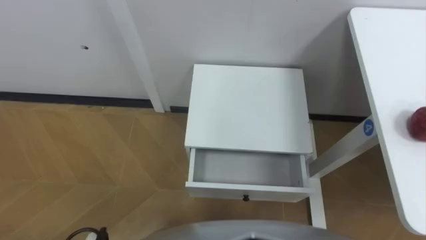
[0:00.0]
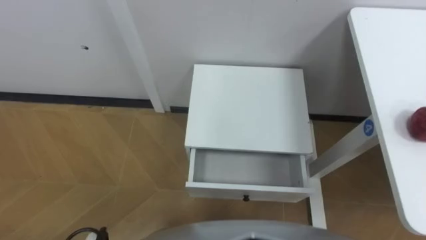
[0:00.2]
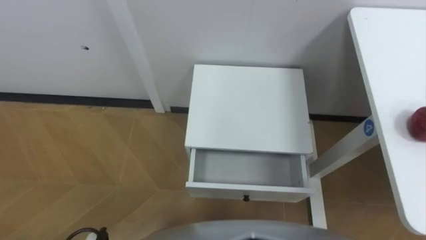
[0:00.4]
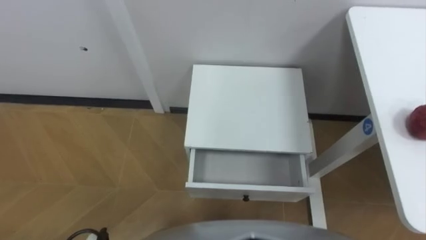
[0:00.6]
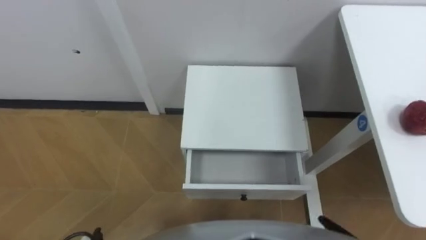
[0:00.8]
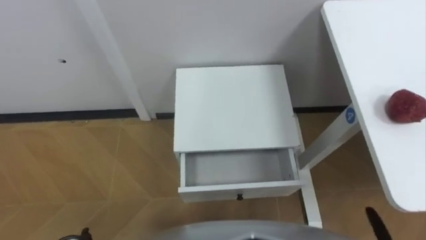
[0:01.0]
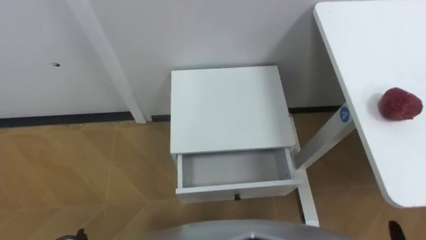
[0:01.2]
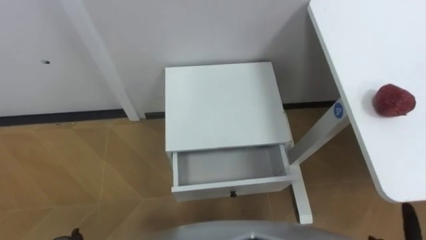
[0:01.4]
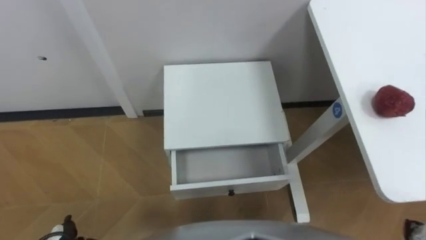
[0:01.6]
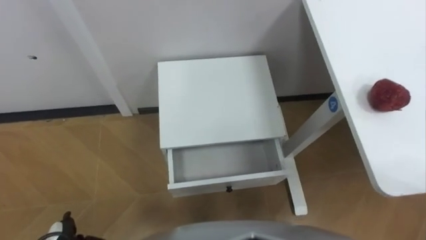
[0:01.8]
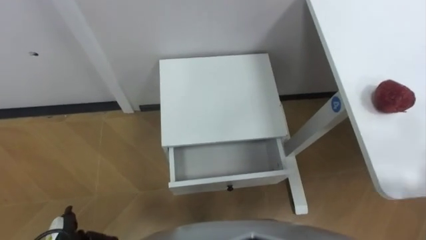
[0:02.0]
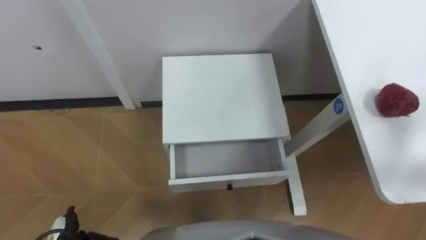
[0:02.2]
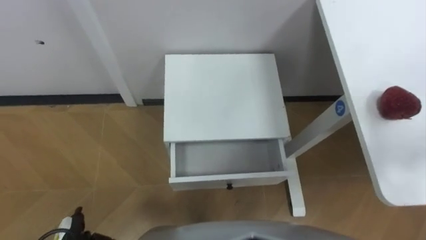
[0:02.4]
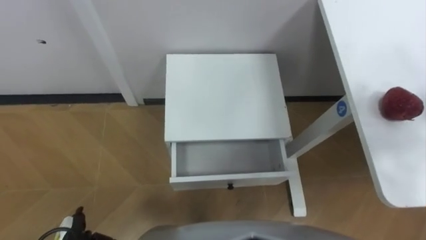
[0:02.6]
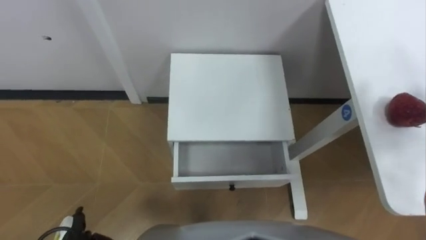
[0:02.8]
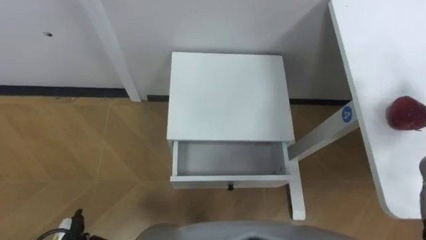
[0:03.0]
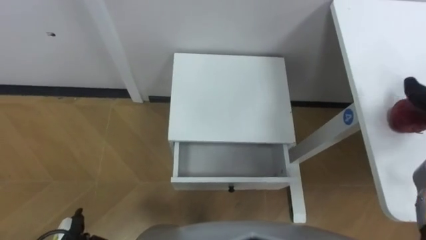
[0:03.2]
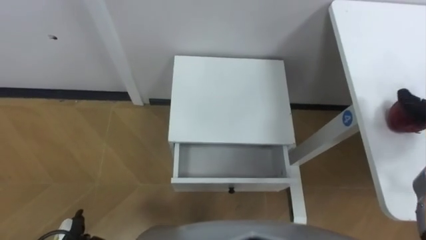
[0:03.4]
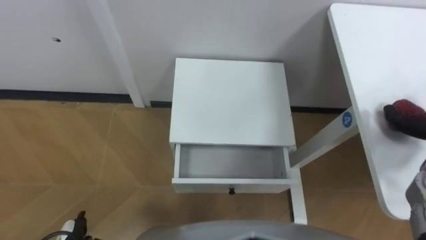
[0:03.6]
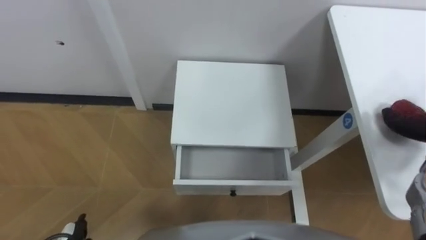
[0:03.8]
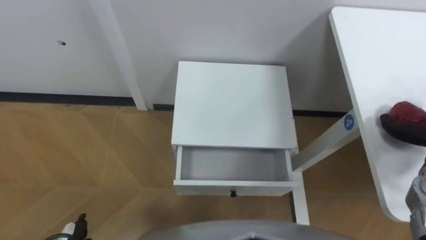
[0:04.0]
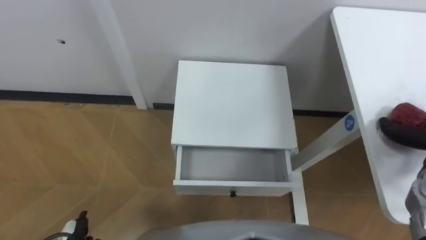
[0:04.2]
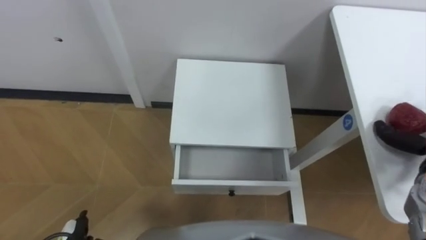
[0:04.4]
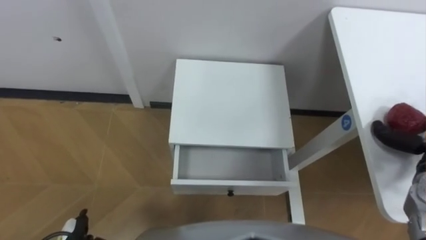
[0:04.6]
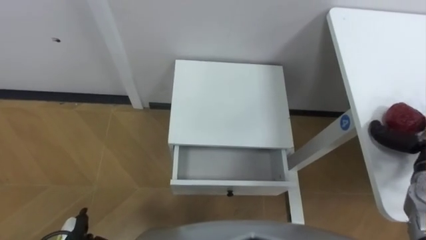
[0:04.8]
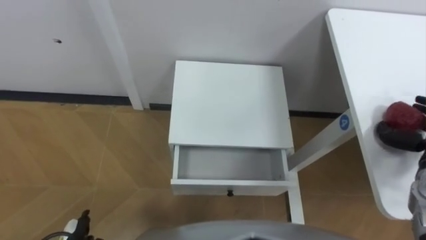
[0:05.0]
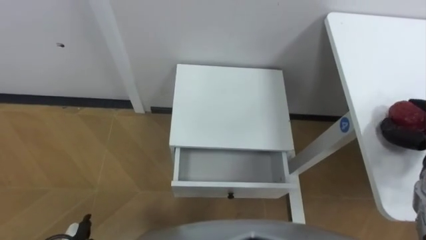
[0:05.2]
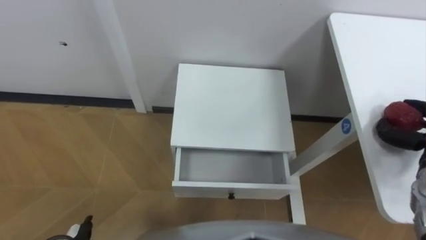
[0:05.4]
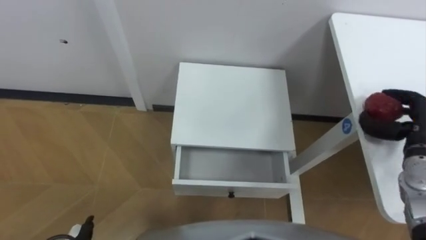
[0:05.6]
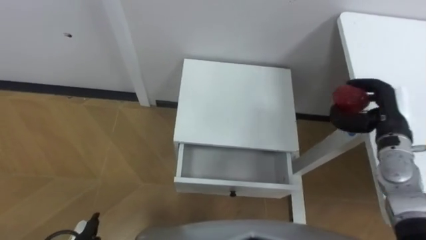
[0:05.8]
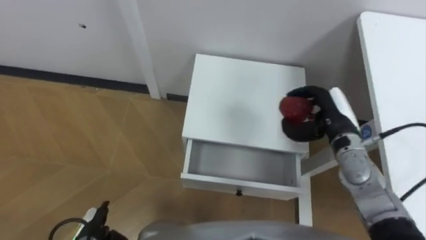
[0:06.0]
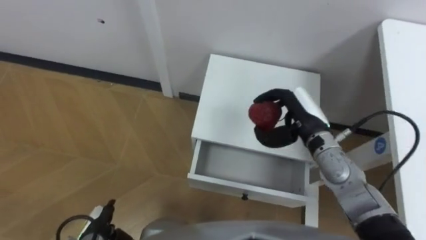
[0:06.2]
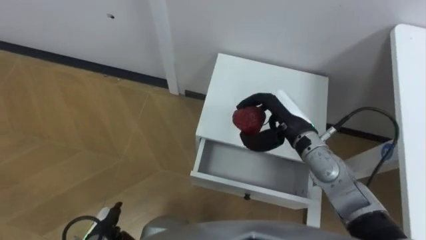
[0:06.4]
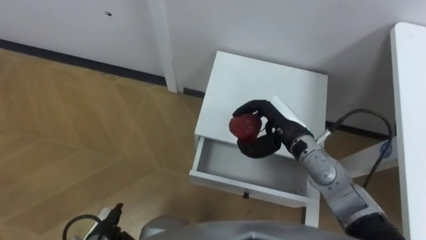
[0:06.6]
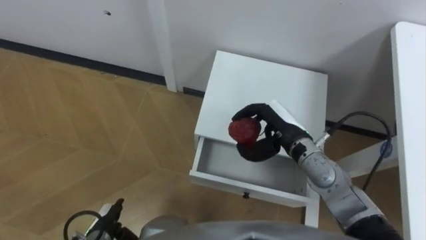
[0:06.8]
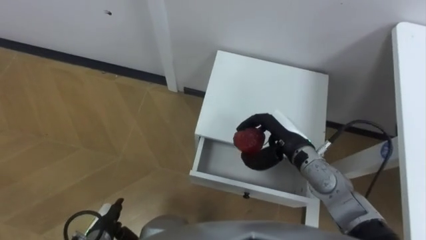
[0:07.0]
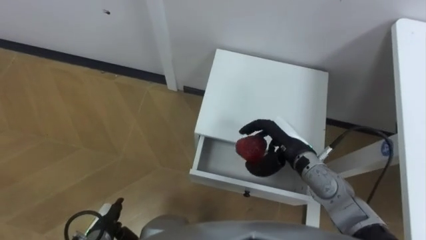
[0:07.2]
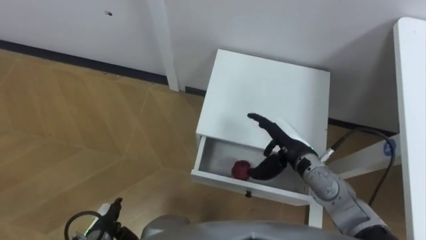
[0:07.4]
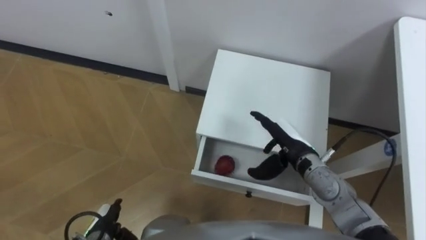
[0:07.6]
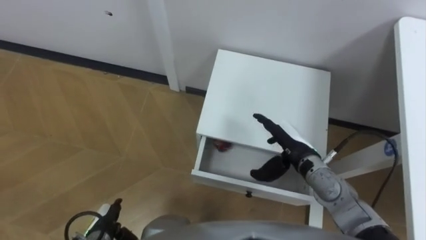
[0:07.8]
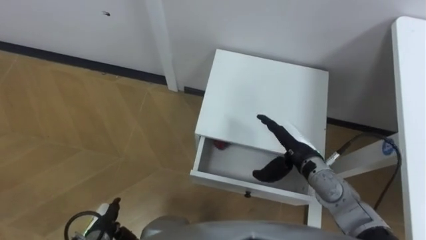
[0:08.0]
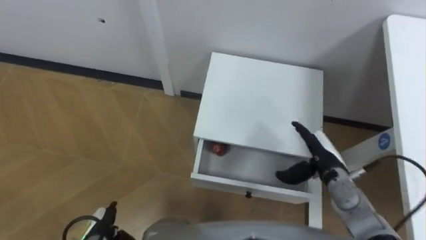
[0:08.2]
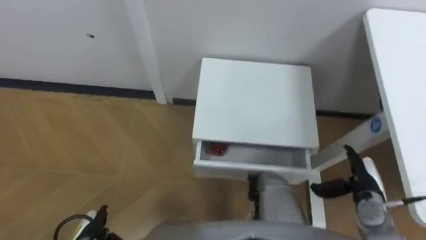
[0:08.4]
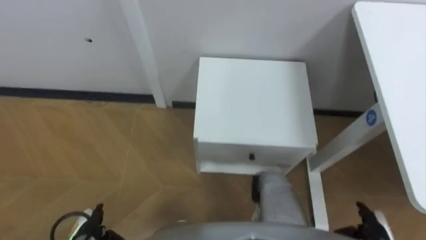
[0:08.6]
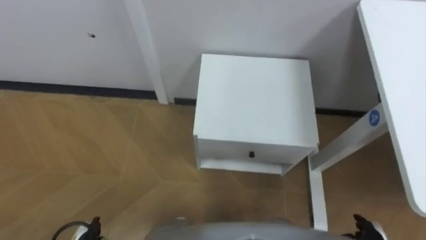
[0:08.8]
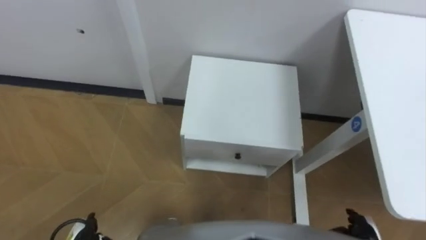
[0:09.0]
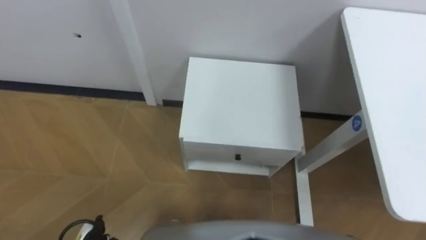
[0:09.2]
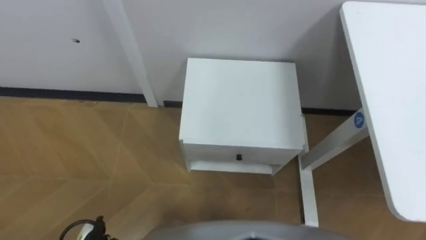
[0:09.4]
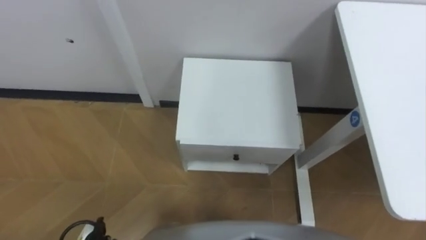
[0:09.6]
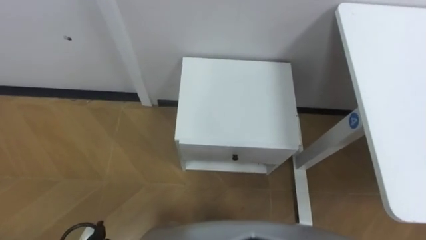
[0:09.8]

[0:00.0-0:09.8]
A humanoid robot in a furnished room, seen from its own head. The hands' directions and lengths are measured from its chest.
Task of the whole recording: Pick up the apple from the table, put it in the drawer, and close the drawer with leg.
0:05.6 to 0:07.0: The right hand shifts some 25 cm to the left.
0:07.0 to 0:08.4: The right hand goes roughly 20 cm to the right, backward and downward, and opens up.

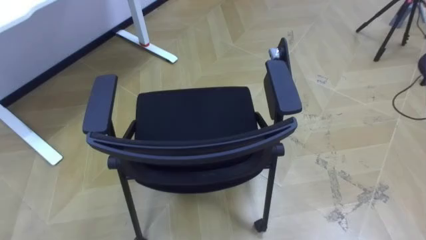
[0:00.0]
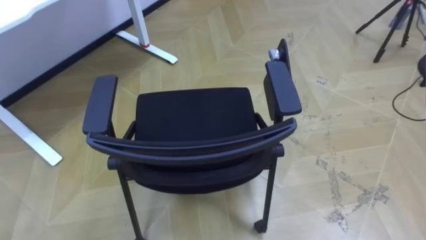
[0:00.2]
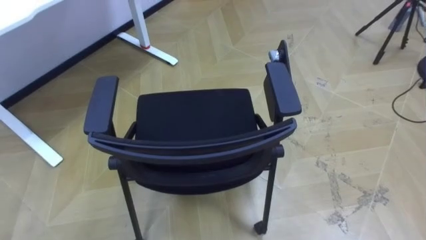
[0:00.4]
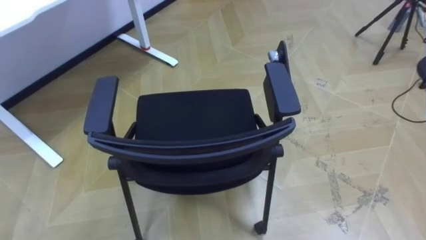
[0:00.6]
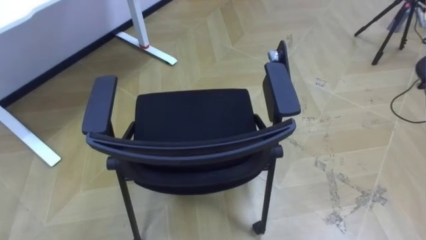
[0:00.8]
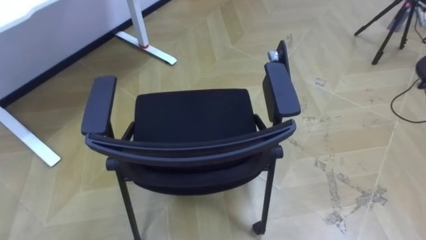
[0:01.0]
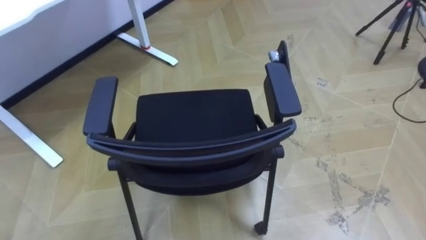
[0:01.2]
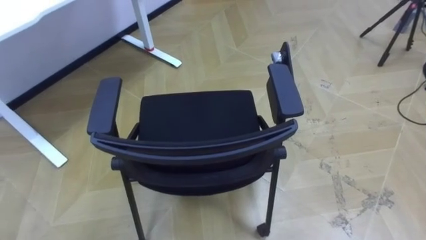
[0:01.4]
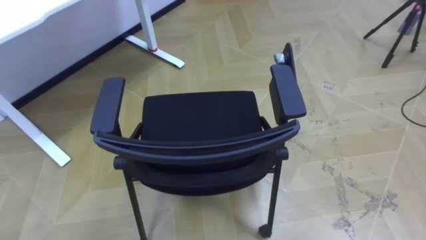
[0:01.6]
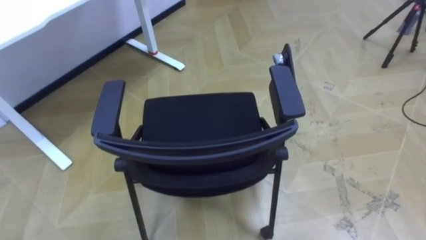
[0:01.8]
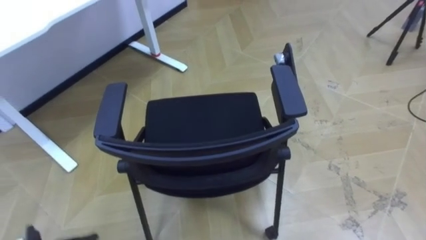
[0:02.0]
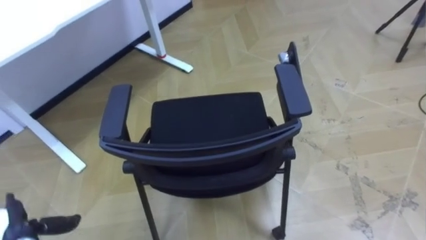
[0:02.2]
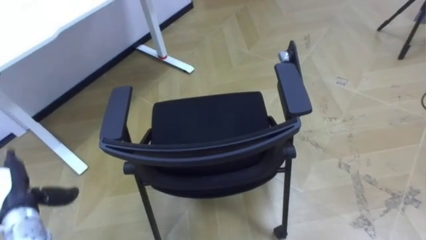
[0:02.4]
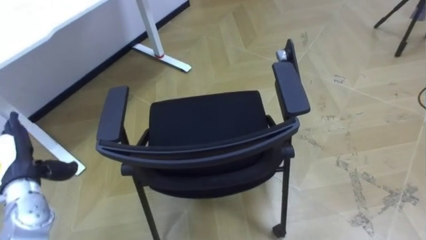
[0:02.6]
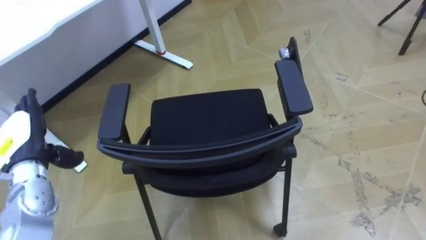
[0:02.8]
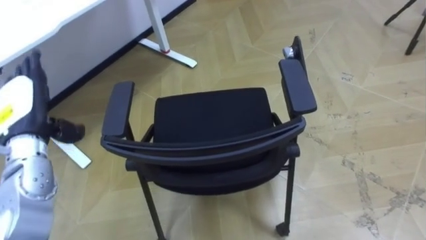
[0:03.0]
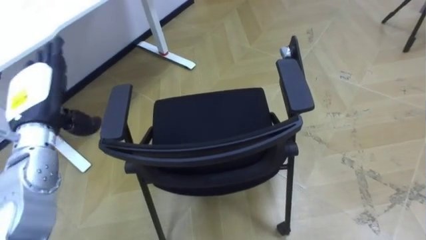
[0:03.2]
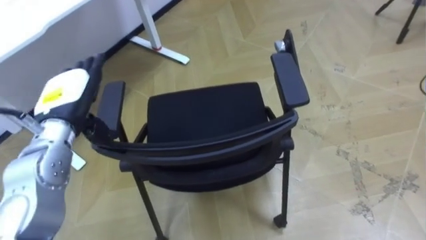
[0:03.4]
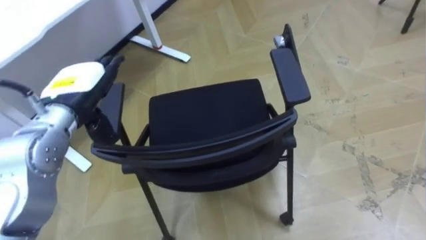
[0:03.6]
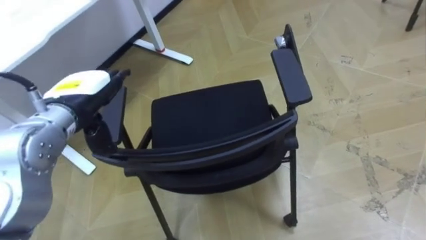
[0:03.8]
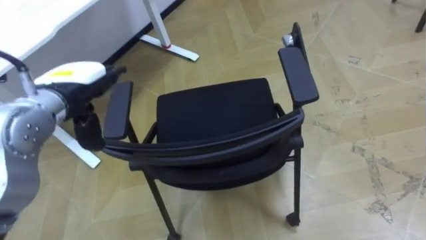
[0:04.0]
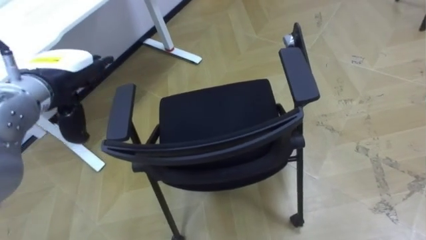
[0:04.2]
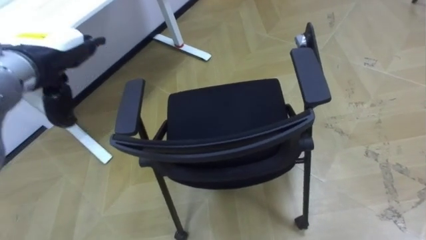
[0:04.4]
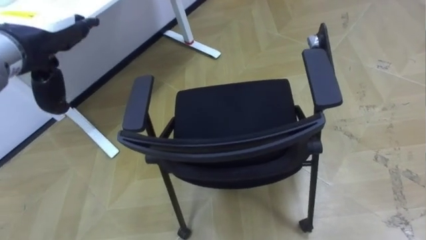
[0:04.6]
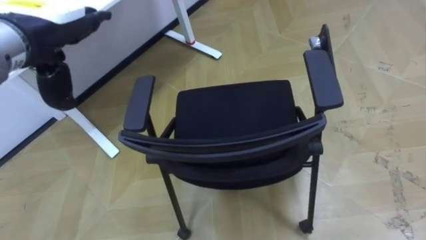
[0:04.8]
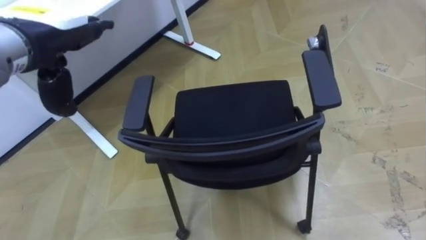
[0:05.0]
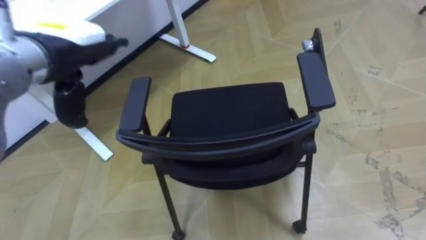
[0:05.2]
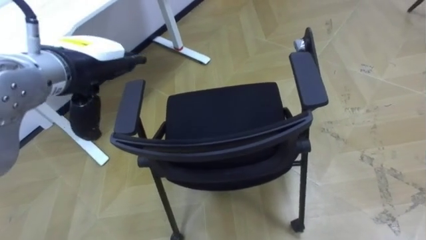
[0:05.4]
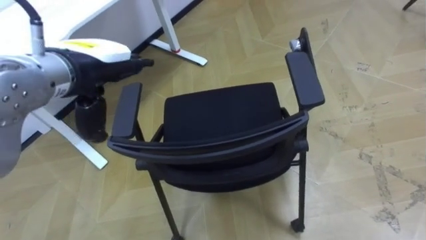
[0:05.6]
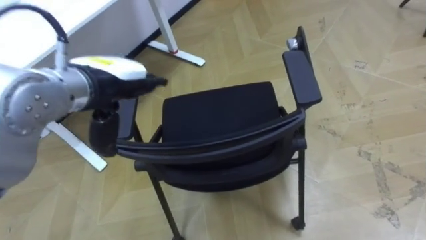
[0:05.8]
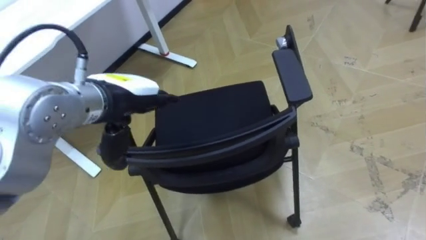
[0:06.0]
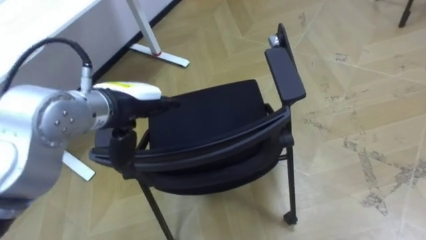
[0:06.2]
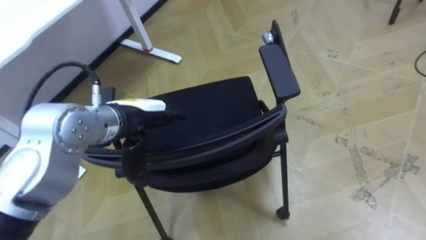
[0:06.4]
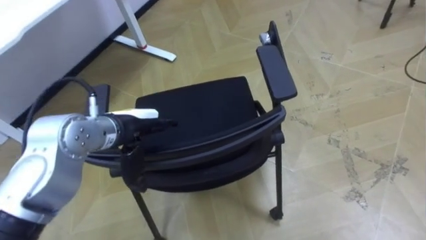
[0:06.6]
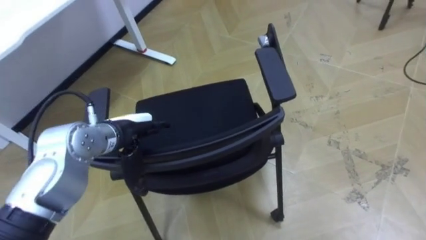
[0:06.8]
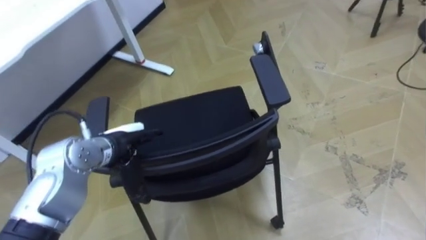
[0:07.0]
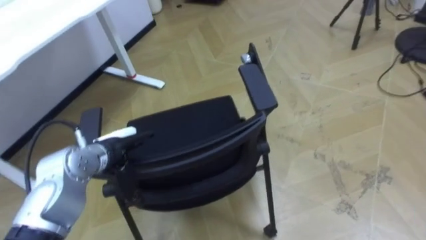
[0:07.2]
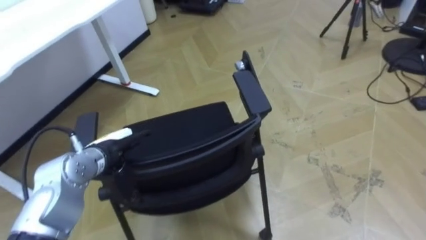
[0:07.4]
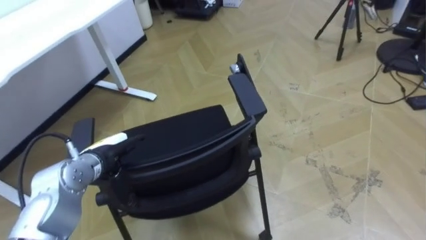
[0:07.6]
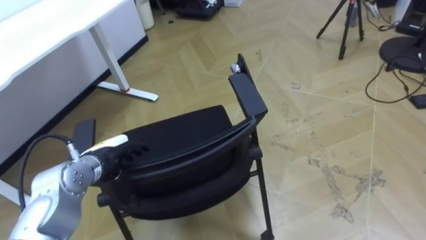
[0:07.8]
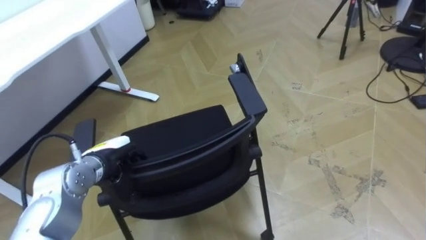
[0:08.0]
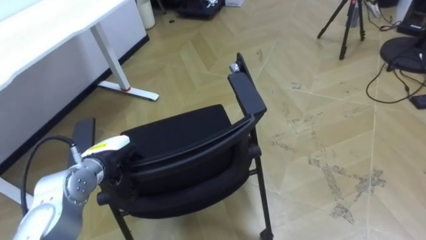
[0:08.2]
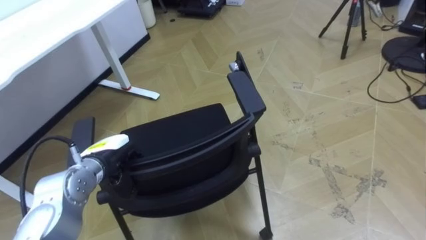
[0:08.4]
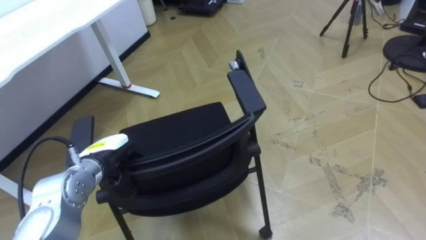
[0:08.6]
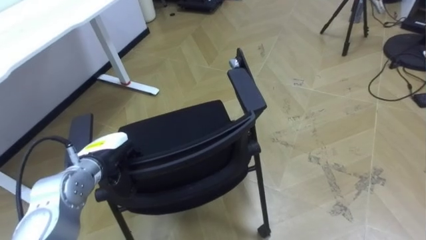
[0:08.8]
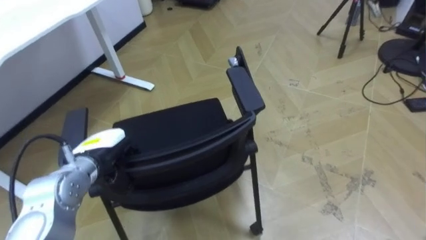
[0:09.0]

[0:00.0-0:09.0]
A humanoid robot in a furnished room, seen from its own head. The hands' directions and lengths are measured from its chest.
Task of the whole recording: Push the chair under the table.
0:03.0 to 0:04.4: The left hand heads upward and to the right, covering about 15 cm.
0:04.4 to 0:06.0: The left hand moves to the right, roughly 10 cm.
0:06.0 to 0:07.6: The left hand goes some 20 cm downward and to the left.
0:07.6 to 0:09.0: The left hand closes up.
